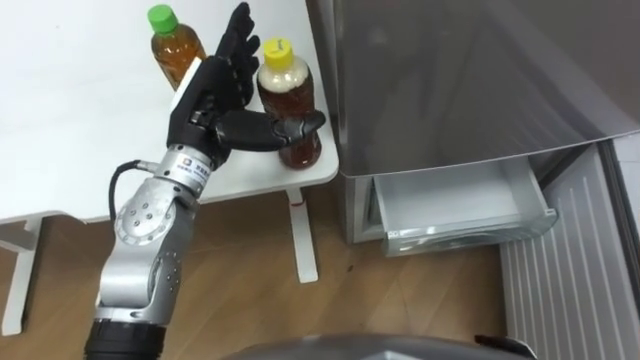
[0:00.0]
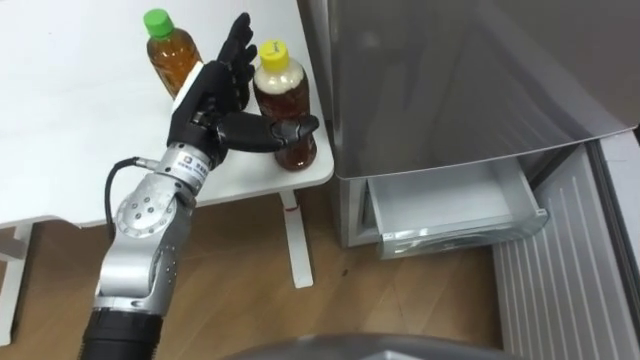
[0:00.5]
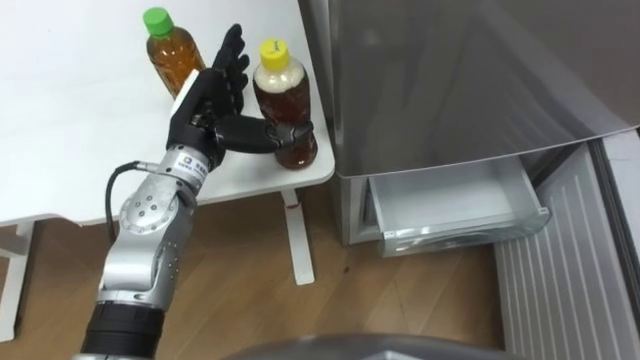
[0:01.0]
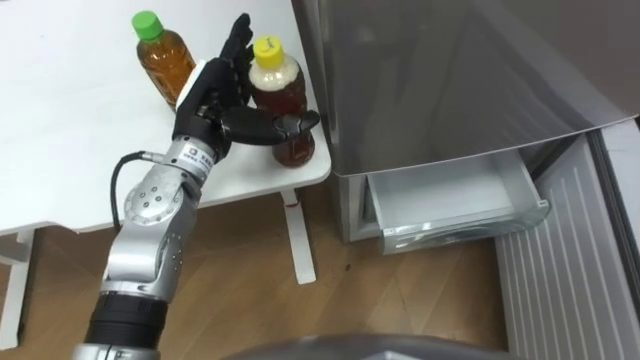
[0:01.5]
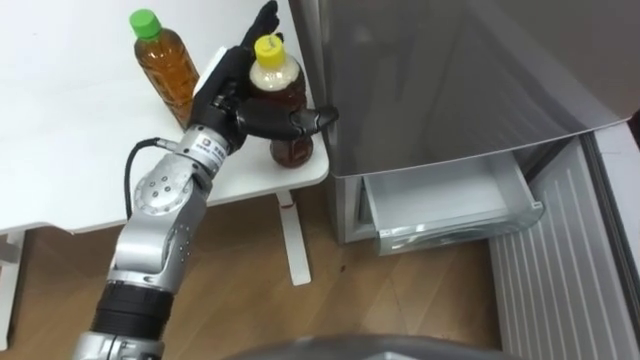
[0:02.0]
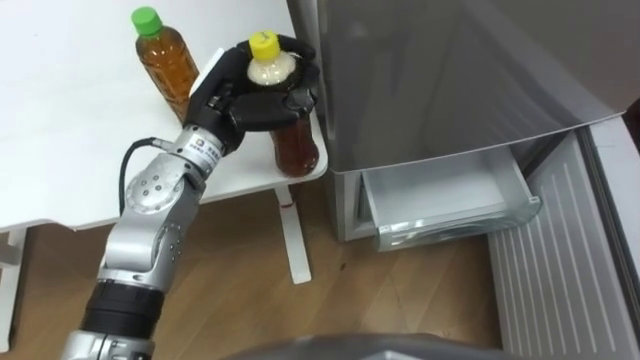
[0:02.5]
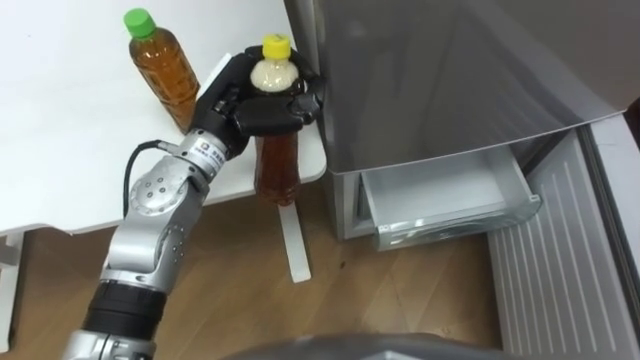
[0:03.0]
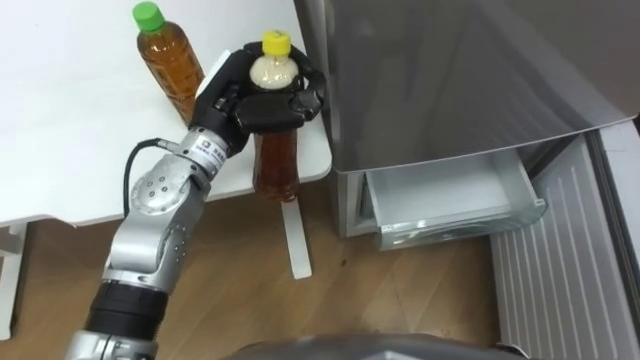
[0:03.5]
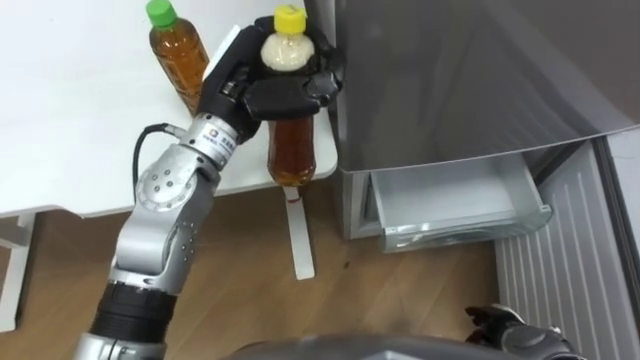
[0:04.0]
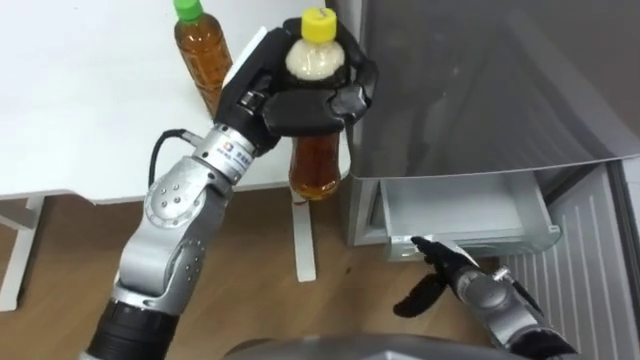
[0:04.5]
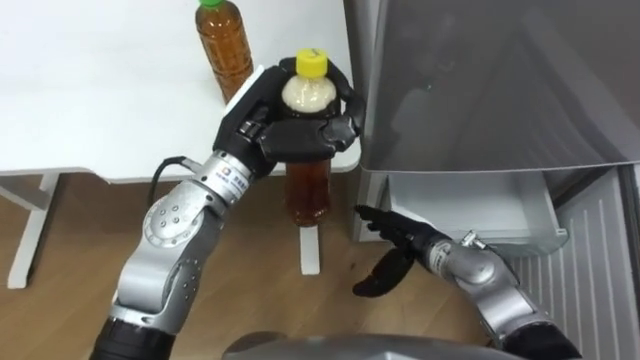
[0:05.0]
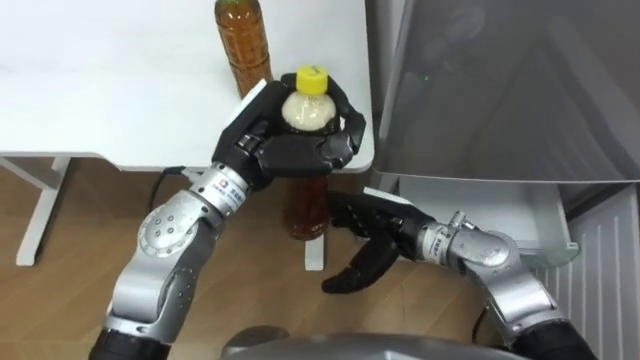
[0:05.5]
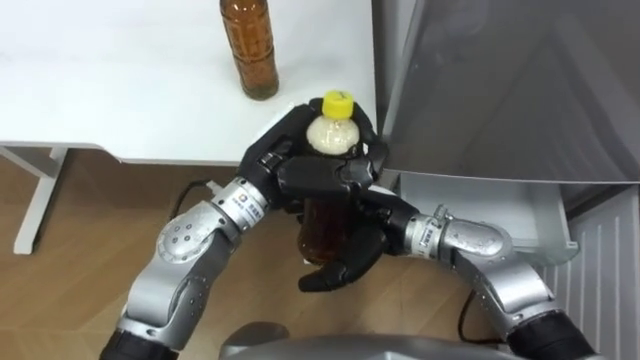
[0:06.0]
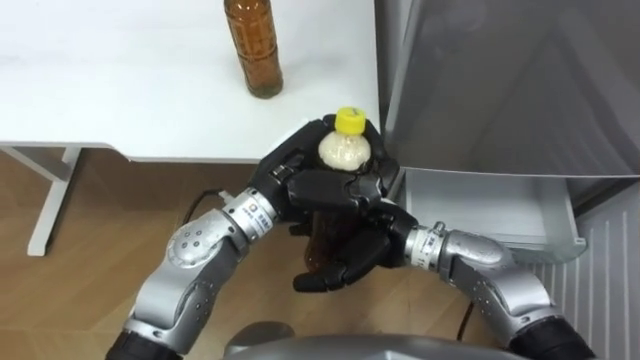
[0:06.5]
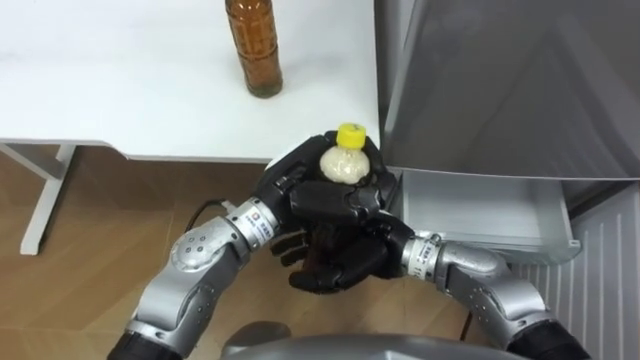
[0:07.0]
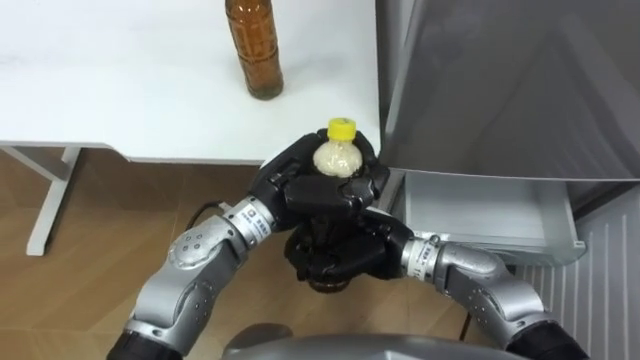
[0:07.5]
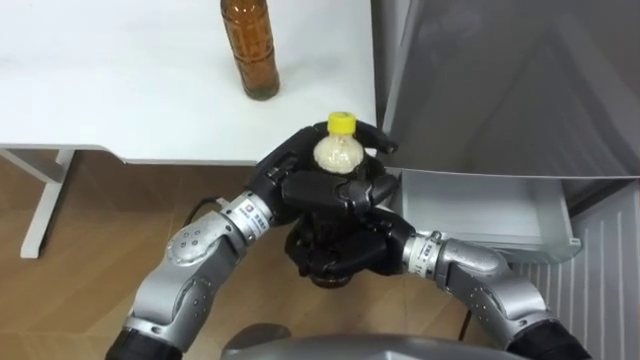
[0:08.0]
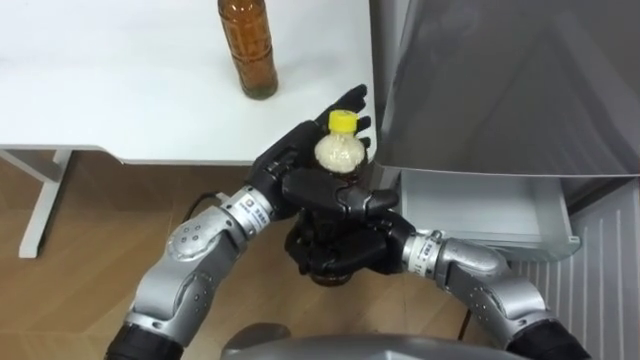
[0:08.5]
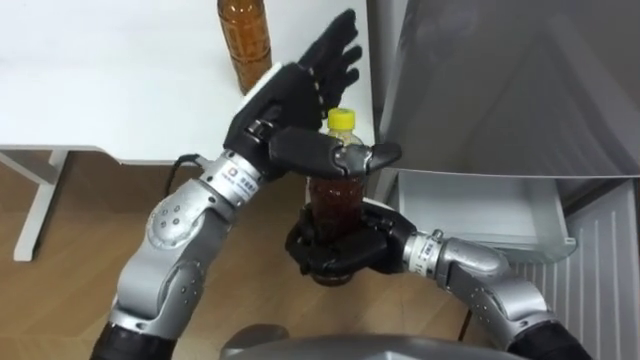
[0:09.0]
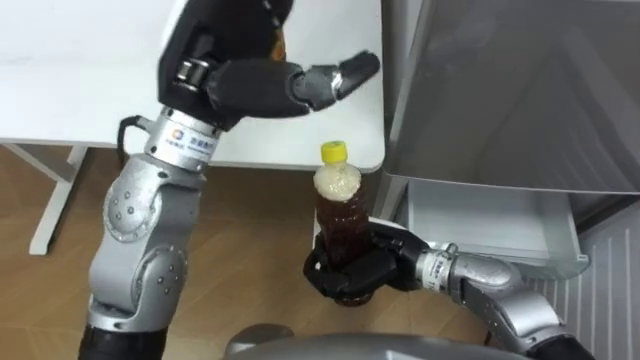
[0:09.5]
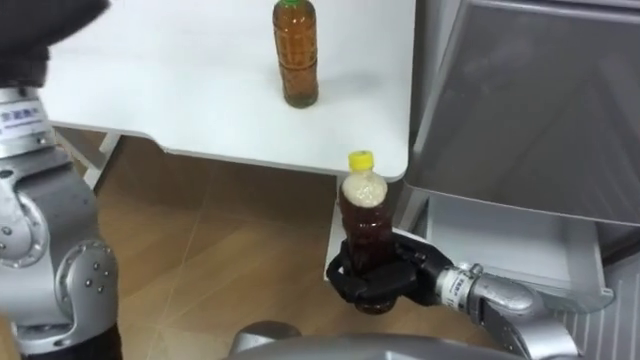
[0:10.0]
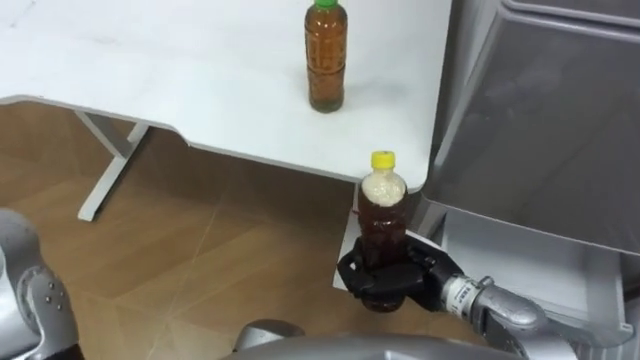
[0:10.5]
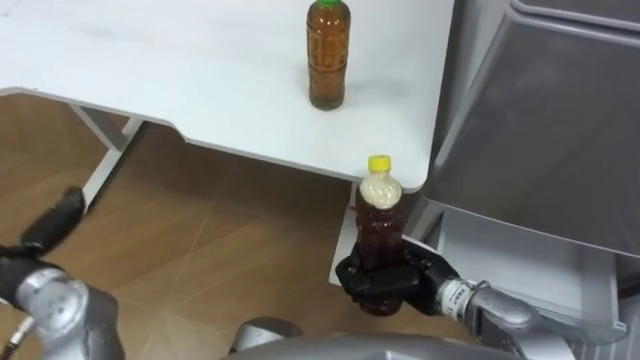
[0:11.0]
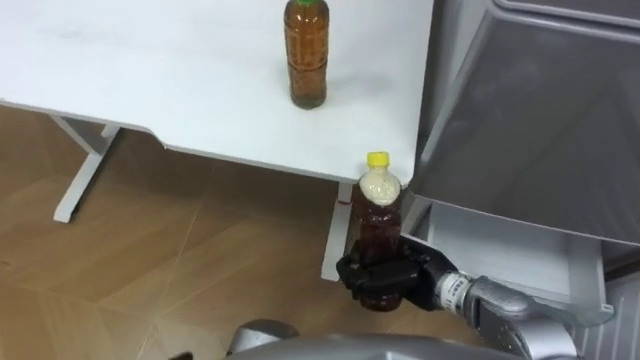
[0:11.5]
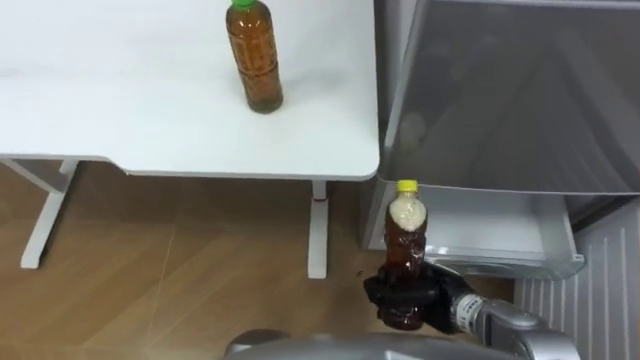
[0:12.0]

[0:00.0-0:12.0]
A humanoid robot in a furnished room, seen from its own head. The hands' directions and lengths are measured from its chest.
Task of the whole recording: Place the drink on the table on the bottom shelf of the refrigerator, then close the drawer and the refrigerator door.
0:02.0 to 0:04.0: The left hand closes up.
0:04.0 to 0:06.0: The right hand travels to the left, upward and forward by some 30 cm, while the left hand heads backward, covering approximately 5 cm.
0:06.0 to 0:08.0: The right hand closes up.
0:08.0 to 0:10.0: The right hand heads to the right, covering approximately 5 cm.
0:10.0 to 0:12.0: The right hand goes roughly 10 cm downward and to the right.

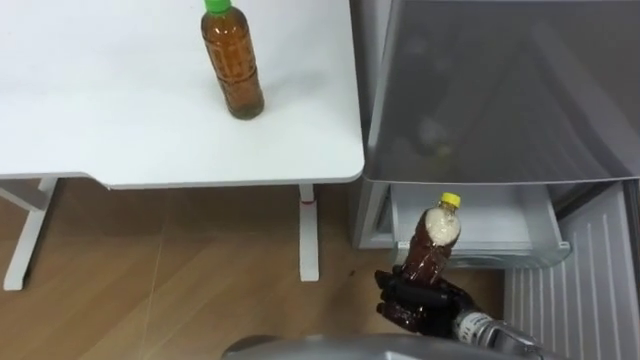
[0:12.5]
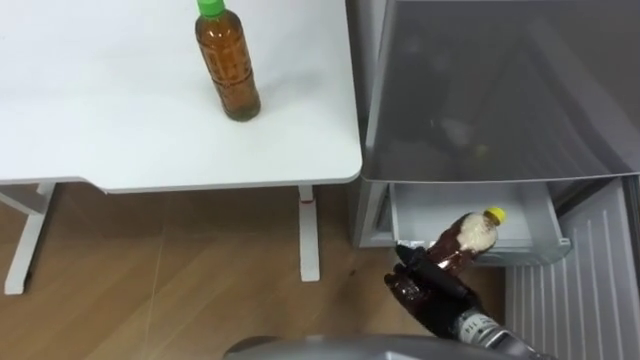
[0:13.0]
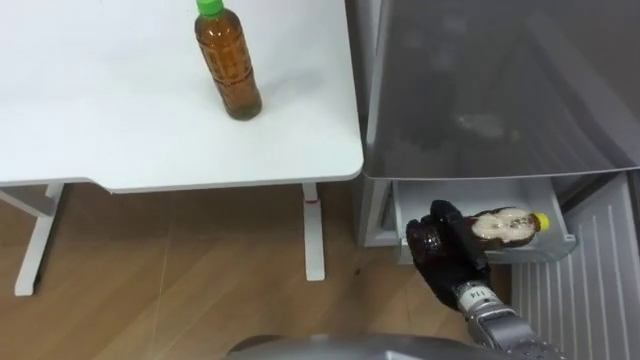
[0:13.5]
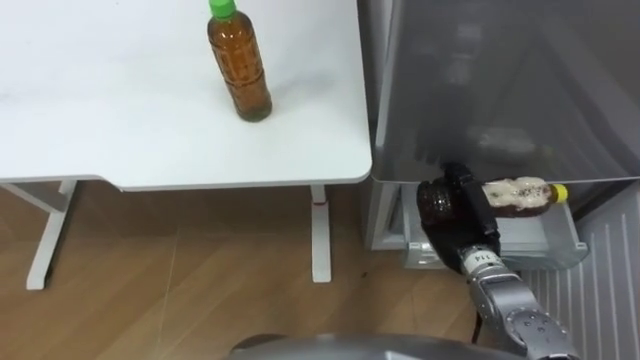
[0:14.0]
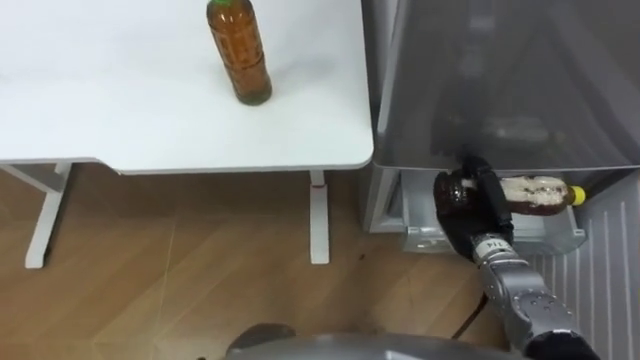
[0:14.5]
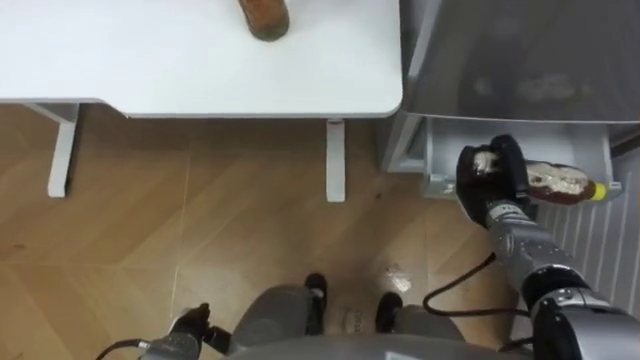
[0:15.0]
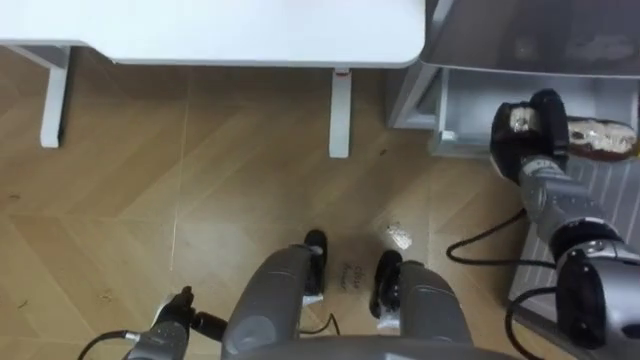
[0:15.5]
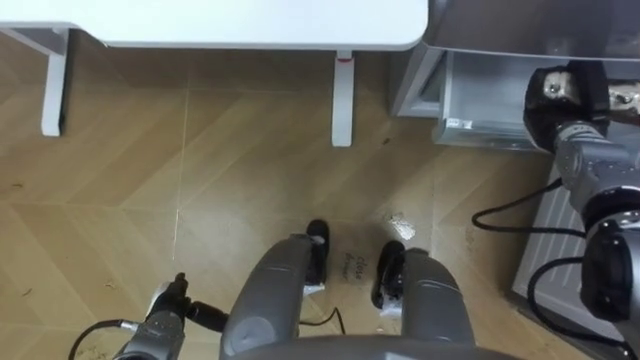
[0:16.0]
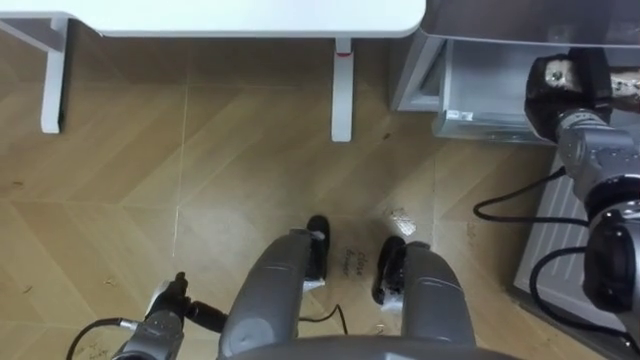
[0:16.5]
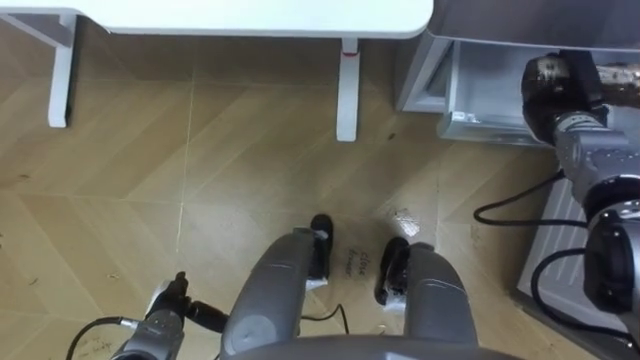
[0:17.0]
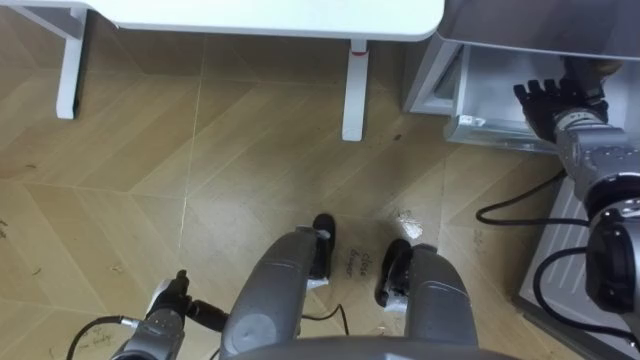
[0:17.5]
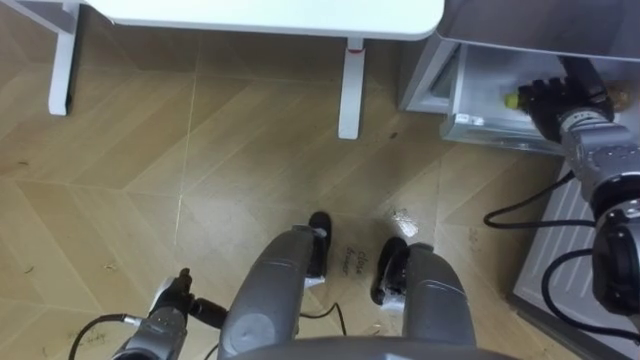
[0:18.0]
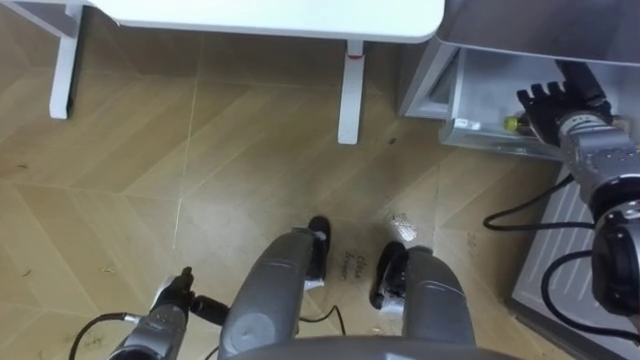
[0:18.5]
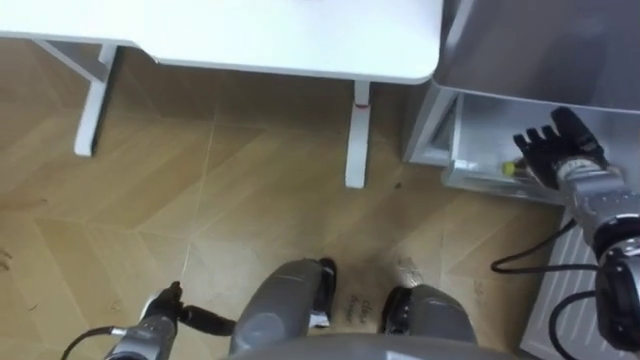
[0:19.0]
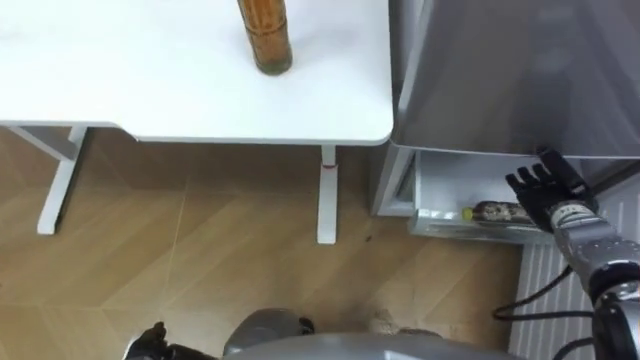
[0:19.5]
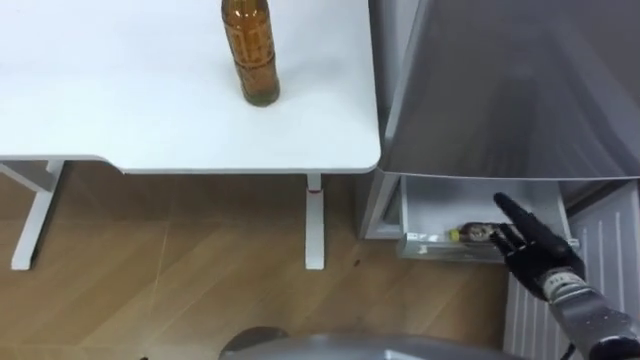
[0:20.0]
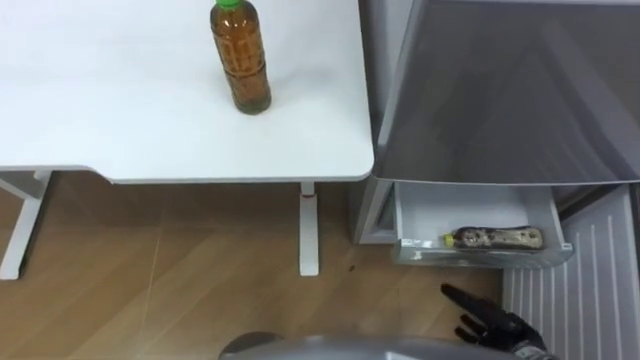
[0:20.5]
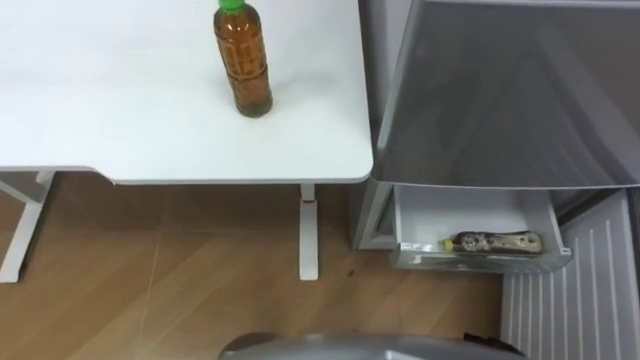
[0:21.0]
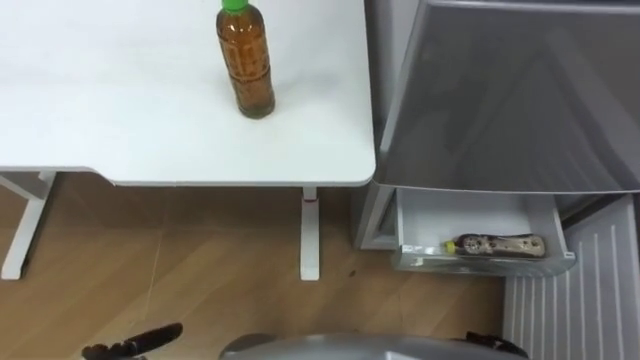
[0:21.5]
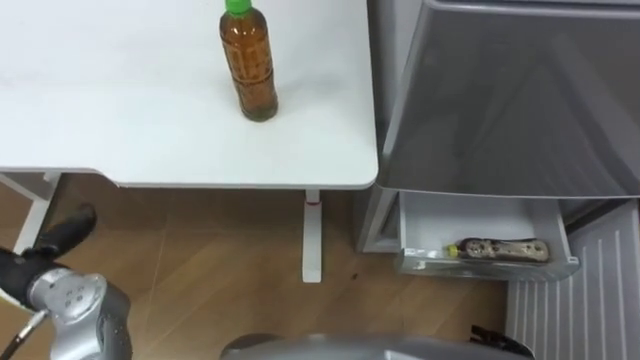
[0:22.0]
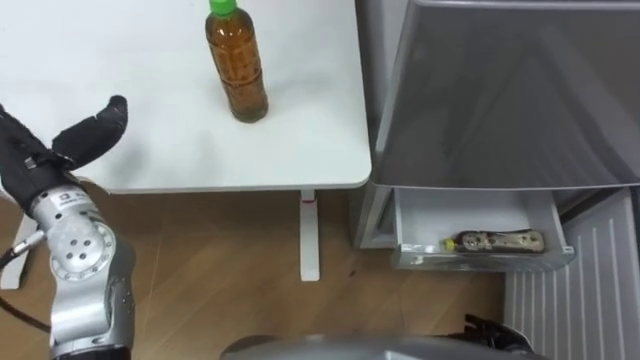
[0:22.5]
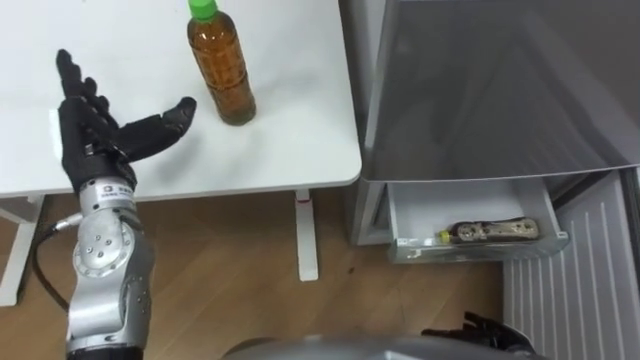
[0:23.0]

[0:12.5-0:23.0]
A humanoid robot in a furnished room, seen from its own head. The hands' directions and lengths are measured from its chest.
Task of the whole recording: Place the drink on the table on the bottom shelf of the refrigerator, then close the drawer and the refrigerator door.
0:12.5 to 0:14.5: The right hand travels forward and to the right by approximately 10 cm.
0:14.5 to 0:16.5: The right hand travels forward, to the right and upward by some 20 cm.
0:16.5 to 0:19.0: The right hand ends up roughly 5 cm from where it was, and opens up.
